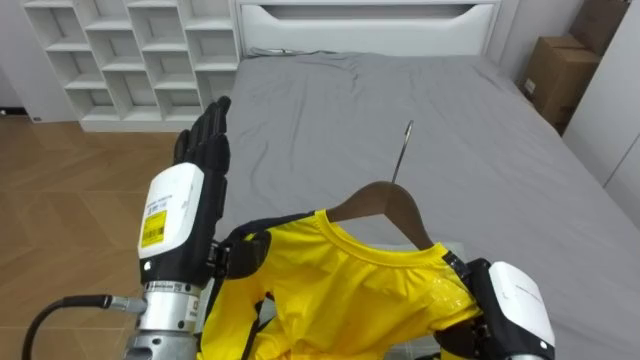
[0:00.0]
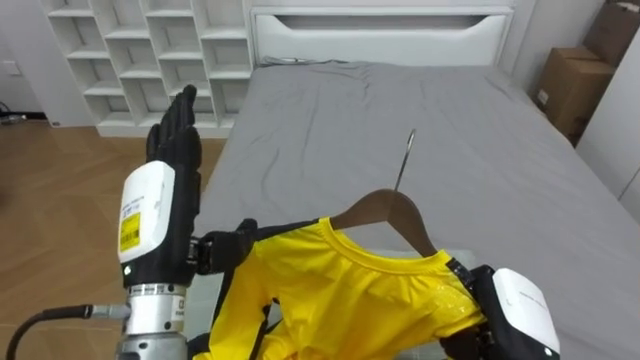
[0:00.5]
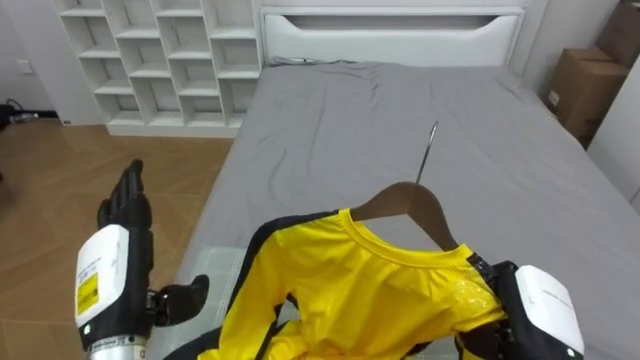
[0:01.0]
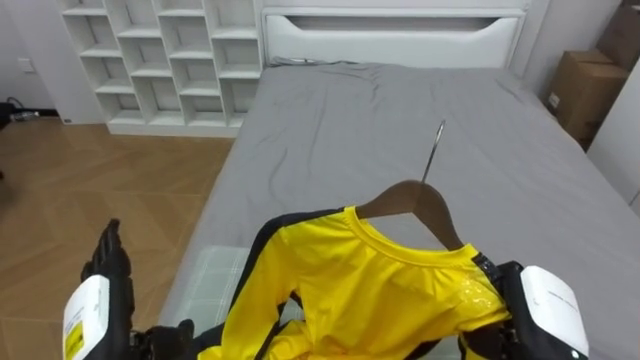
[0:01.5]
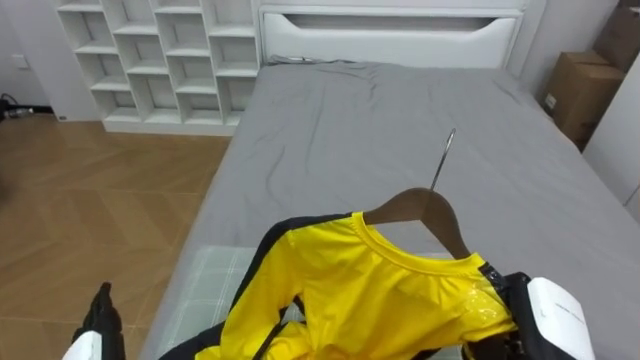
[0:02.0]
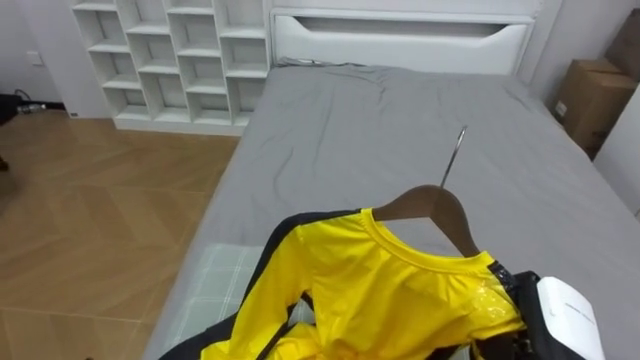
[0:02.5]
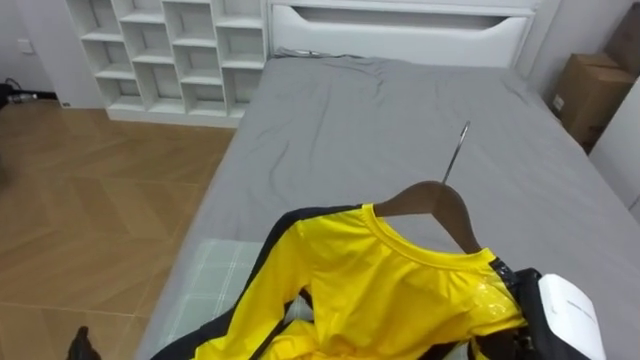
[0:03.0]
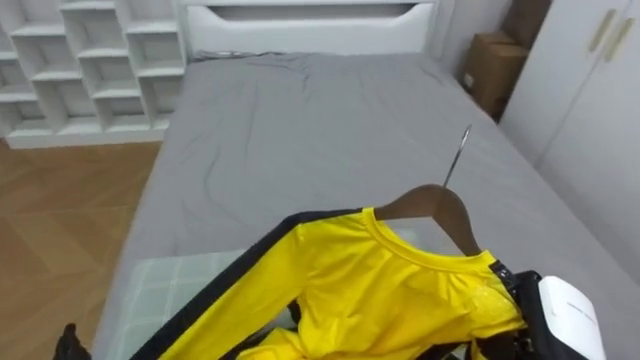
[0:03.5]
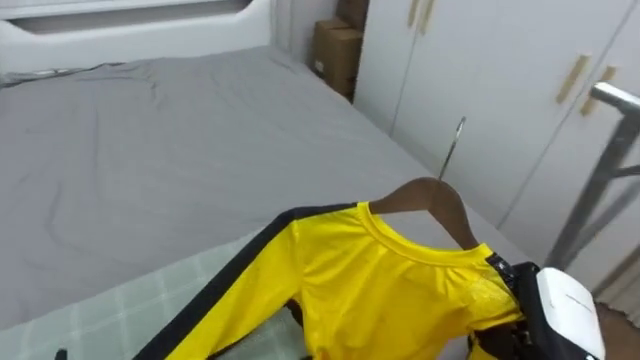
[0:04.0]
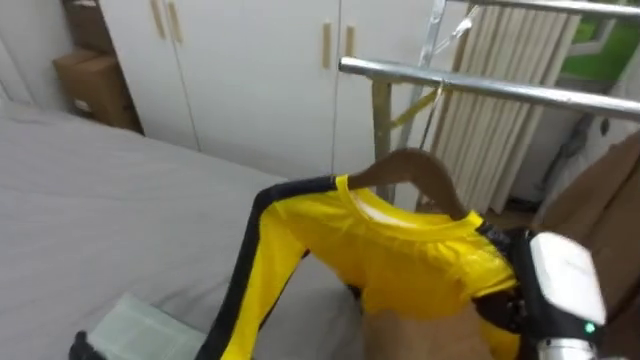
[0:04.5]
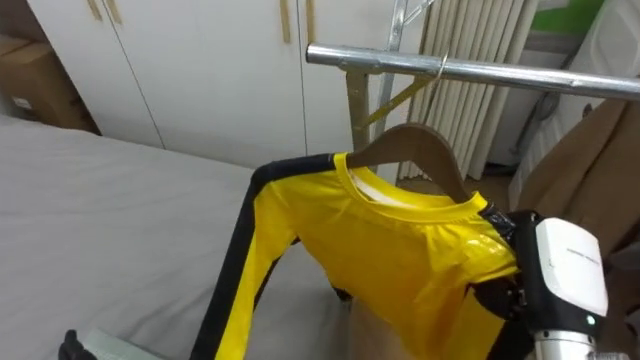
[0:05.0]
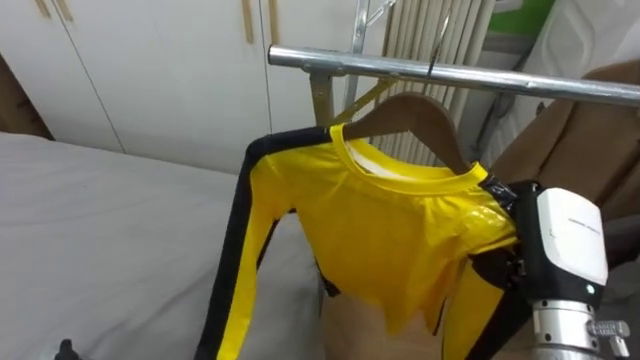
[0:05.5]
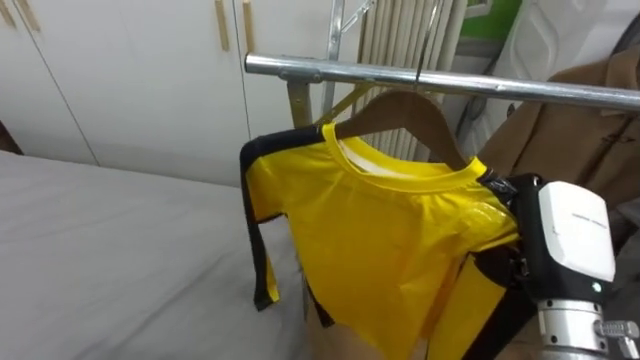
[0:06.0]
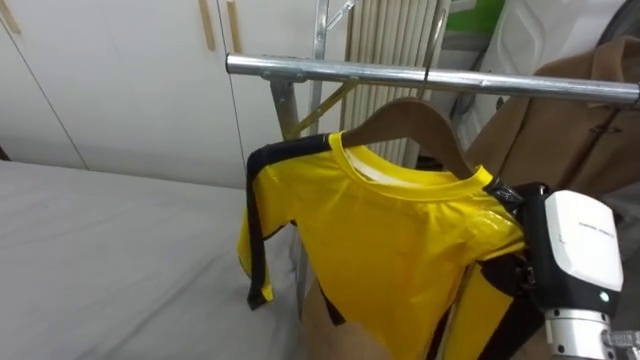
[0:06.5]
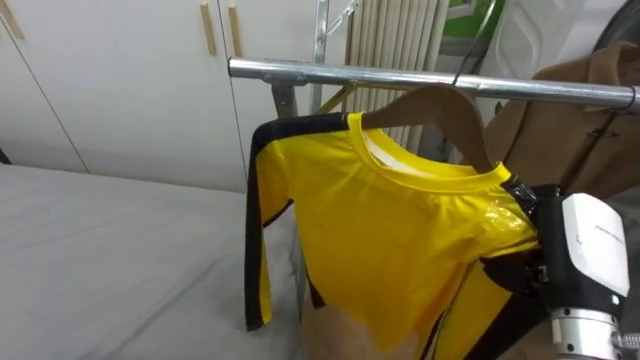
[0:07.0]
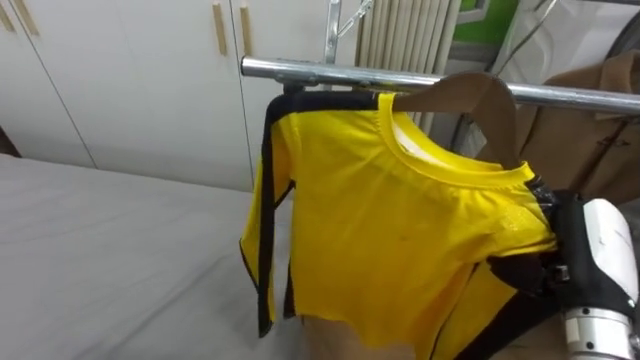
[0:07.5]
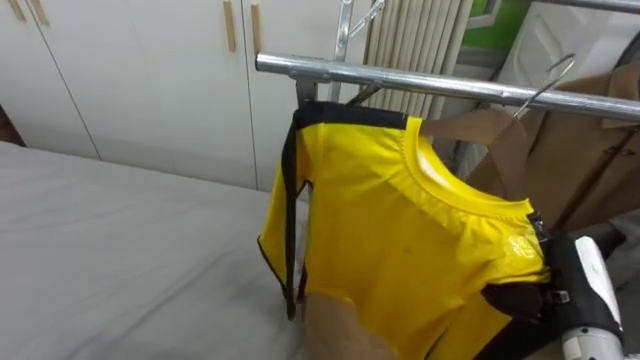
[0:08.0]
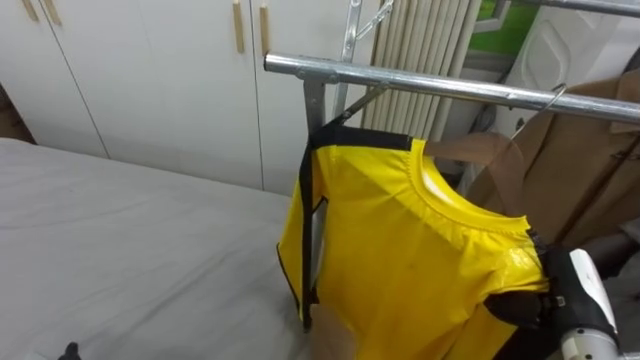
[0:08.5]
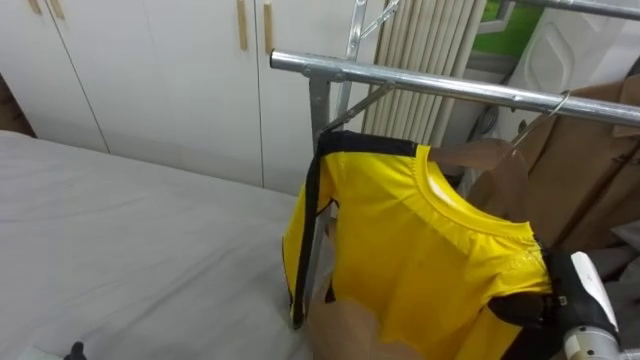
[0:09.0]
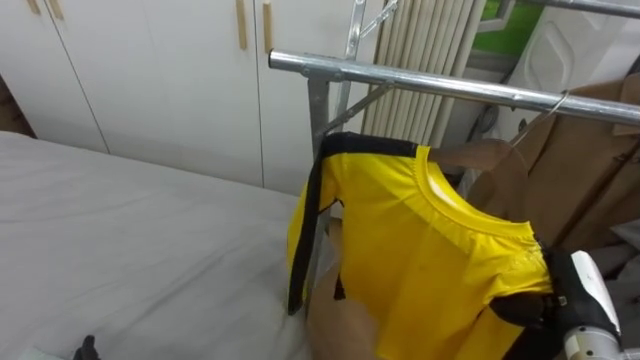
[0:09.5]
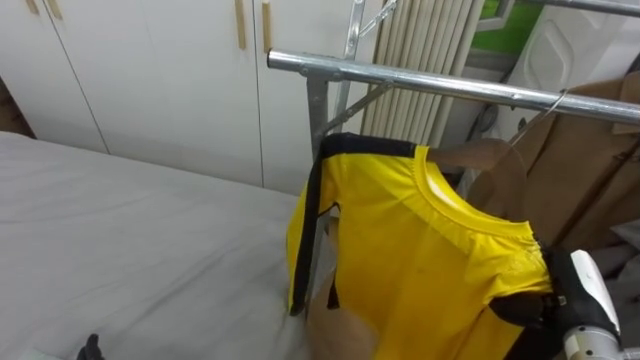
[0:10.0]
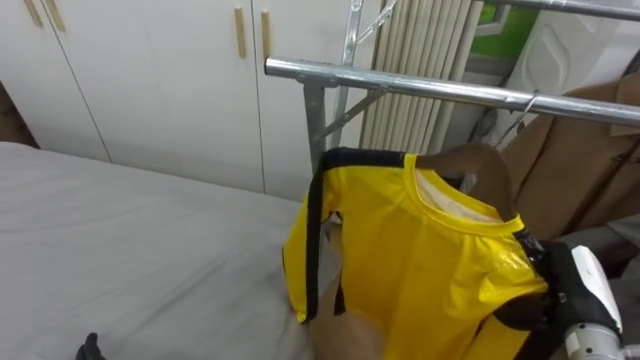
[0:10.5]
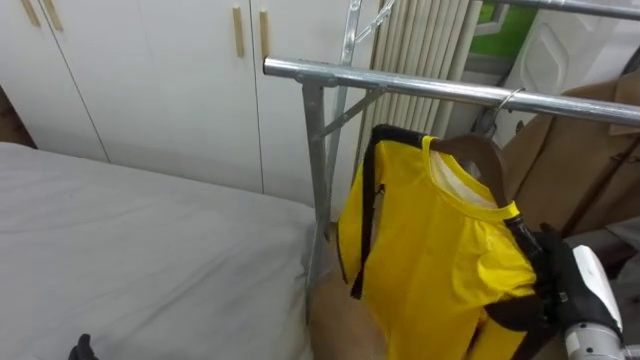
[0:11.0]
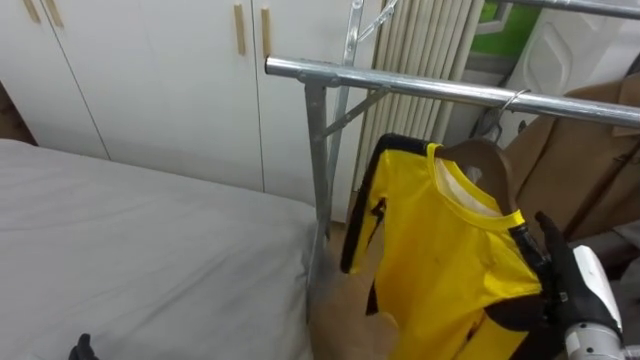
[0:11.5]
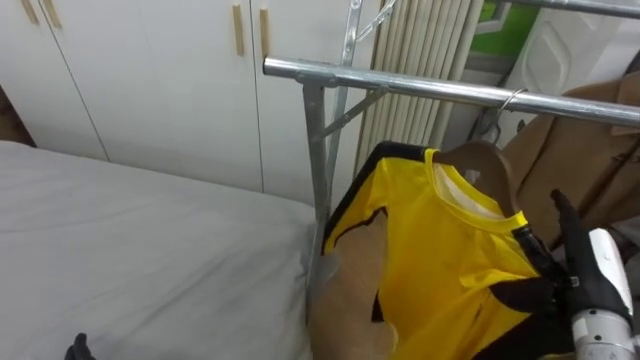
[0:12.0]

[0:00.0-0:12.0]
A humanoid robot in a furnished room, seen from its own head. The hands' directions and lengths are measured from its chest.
Task of the whole recording: Pick up the yellow shirt on the bed and hang it on the clothes rack on the right.
0:02.0 to 0:04.0: The robot faces some 35 degrees further to its right.
0:04.0 to 0:06.0: The robot's body swings roughly 50 degrees to its right. The right hand goes approximately 10 cm upward.
0:06.0 to 0:08.0: The right hand moves downward, roughly 10 cm.
0:10.0 to 0:12.0: The right hand opens up.

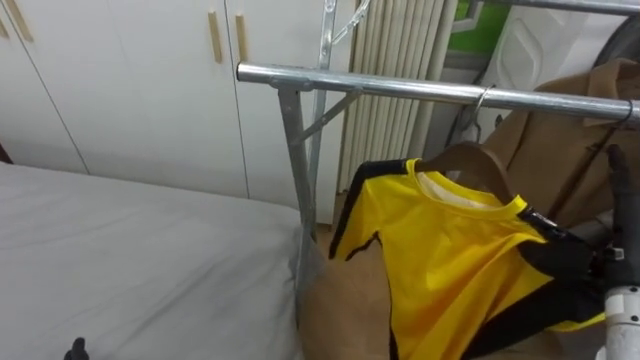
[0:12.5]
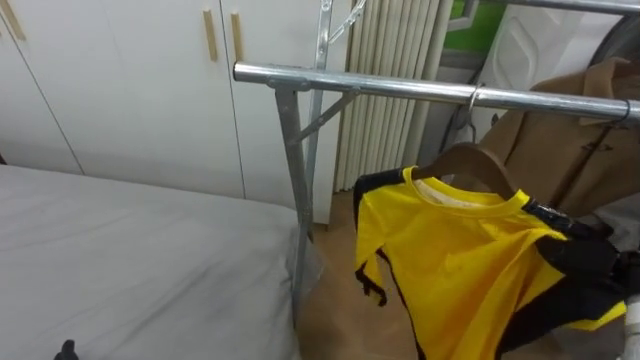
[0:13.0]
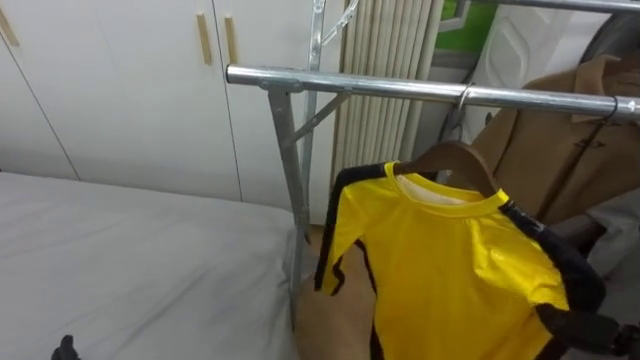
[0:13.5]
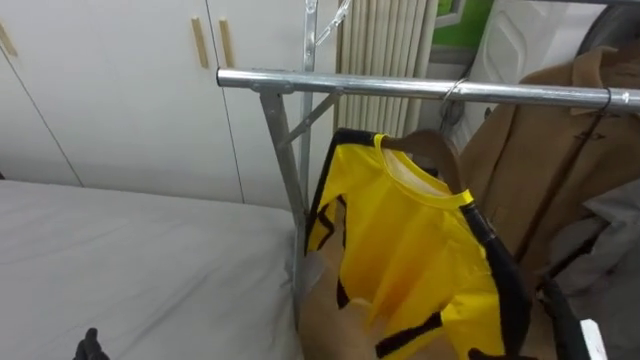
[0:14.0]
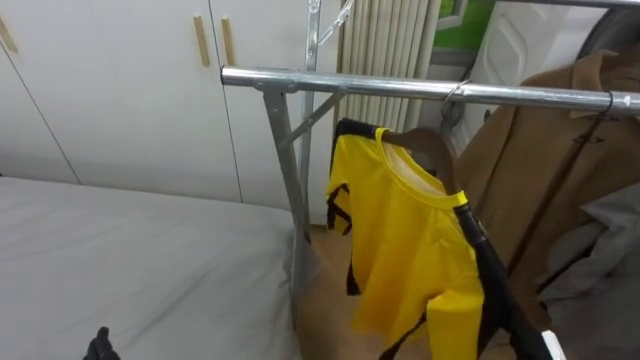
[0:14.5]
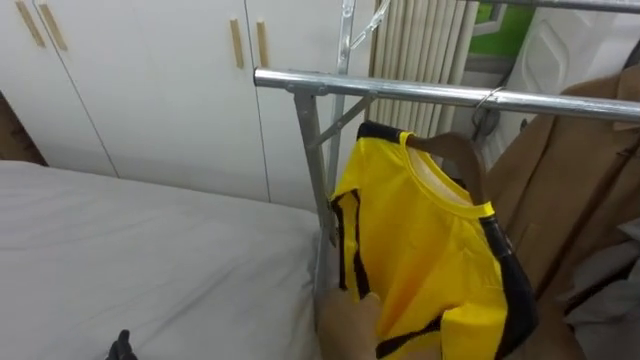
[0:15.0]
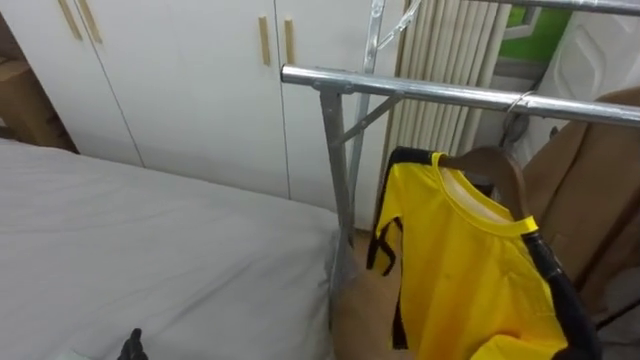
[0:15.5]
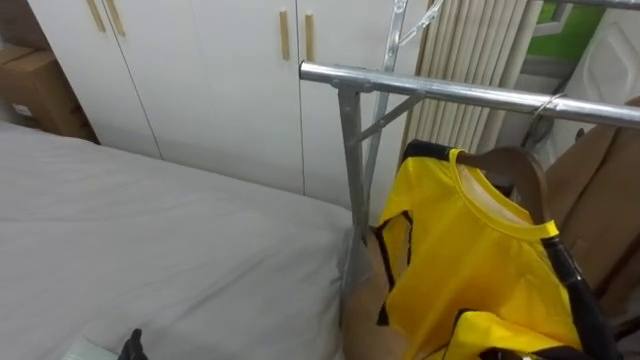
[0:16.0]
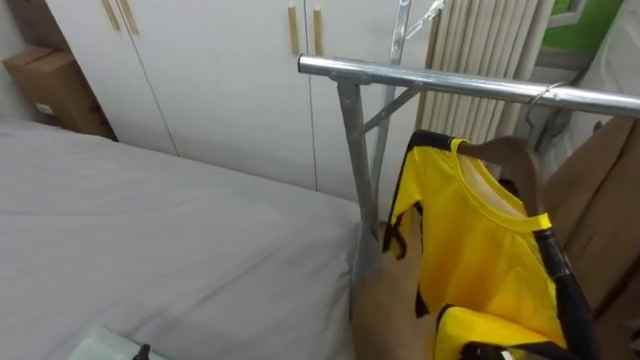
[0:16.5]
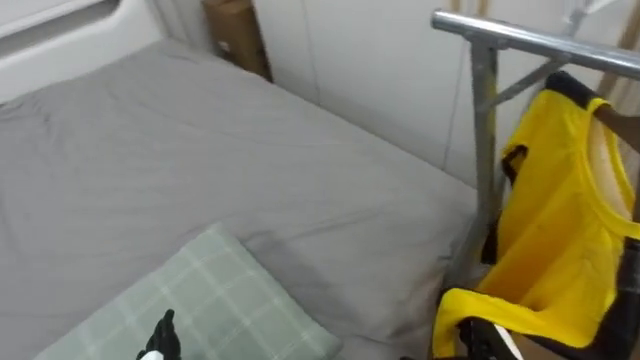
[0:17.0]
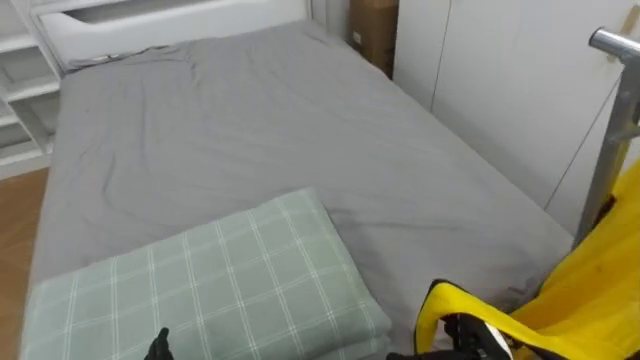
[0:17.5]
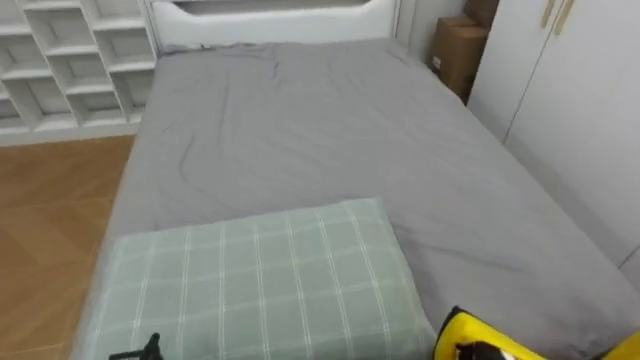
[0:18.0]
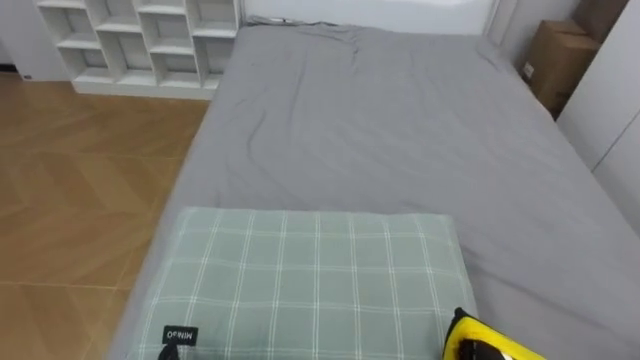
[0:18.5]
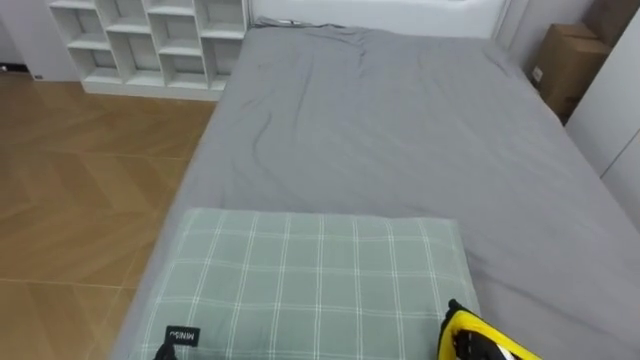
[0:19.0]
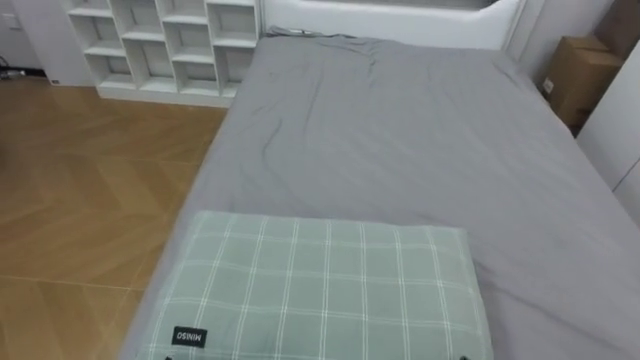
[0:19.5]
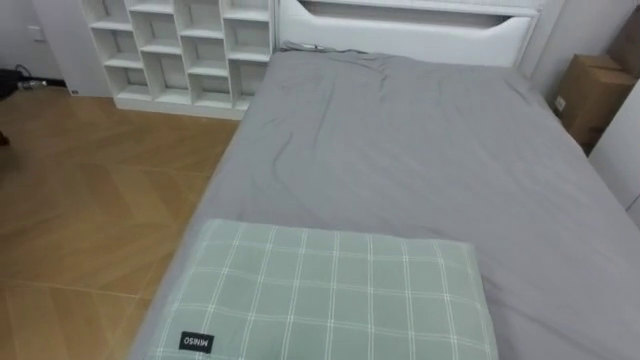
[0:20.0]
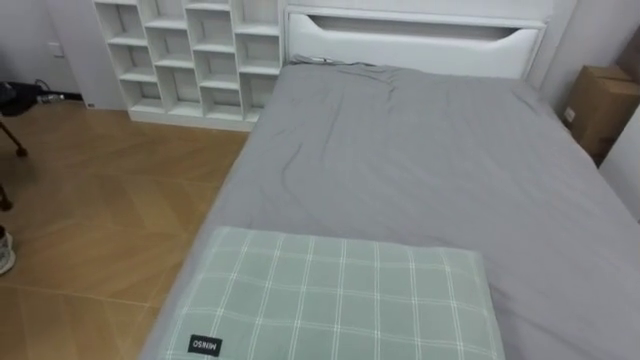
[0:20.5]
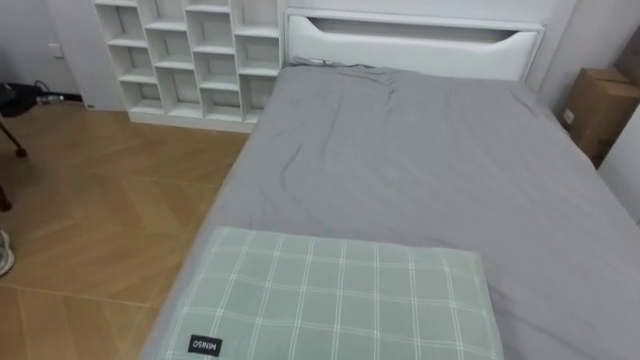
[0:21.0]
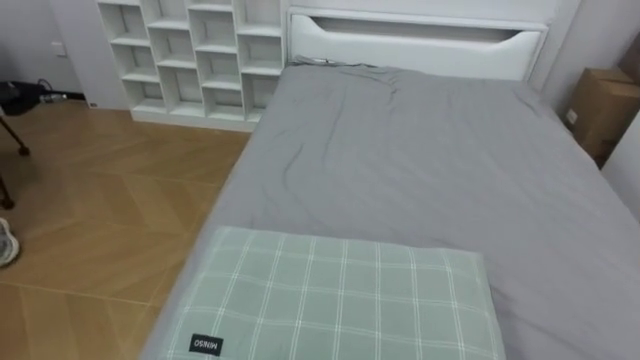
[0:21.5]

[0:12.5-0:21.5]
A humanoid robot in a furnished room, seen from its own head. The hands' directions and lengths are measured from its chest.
Task of the whole recording: Pick up the yellow shirt on the bed and hang it on the clothes rack on the right.
0:14.5 to 0:17.0: The robot's body swings about 35 degrees to its left.
0:17.0 to 0:19.5: The robot's body swings approximately 50 degrees to its left.
